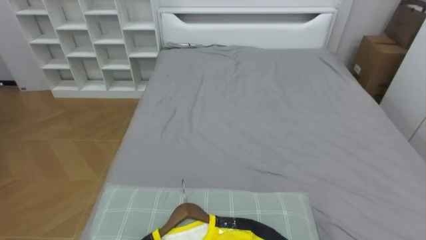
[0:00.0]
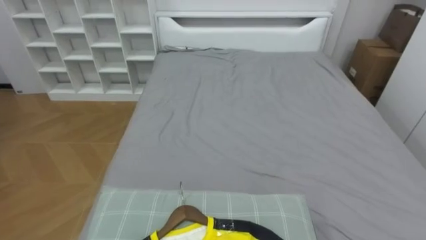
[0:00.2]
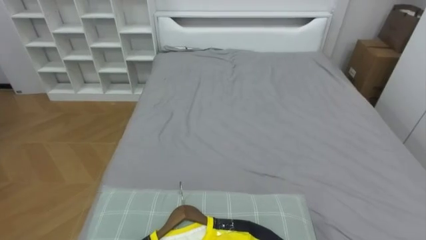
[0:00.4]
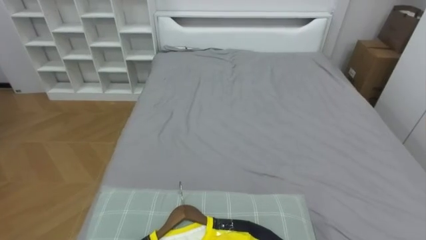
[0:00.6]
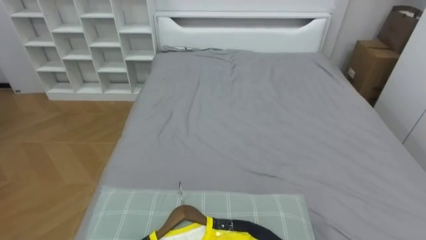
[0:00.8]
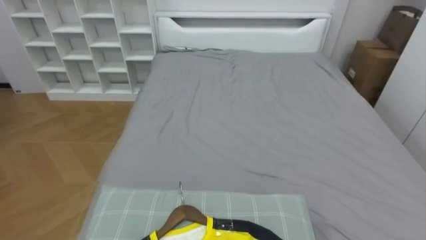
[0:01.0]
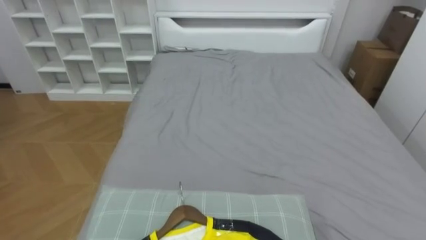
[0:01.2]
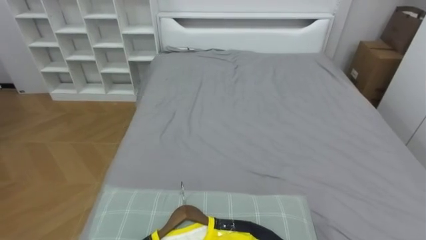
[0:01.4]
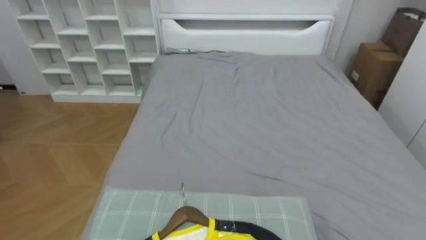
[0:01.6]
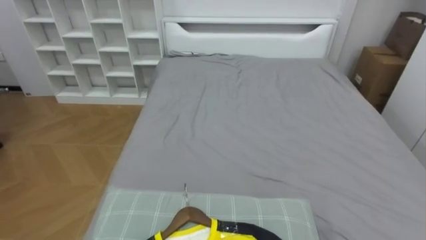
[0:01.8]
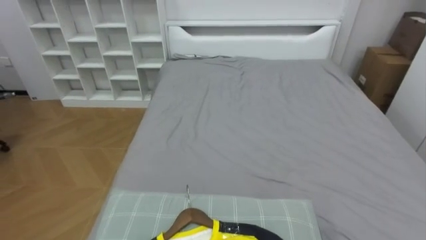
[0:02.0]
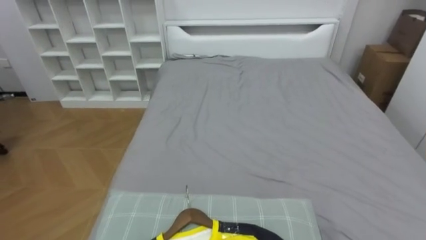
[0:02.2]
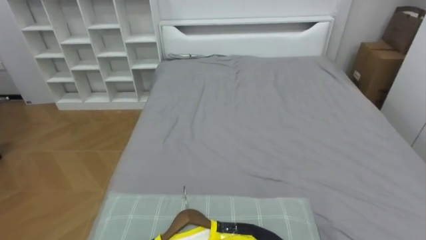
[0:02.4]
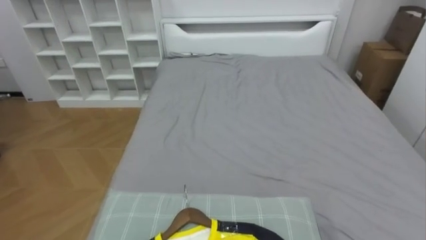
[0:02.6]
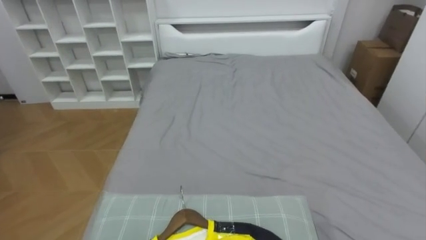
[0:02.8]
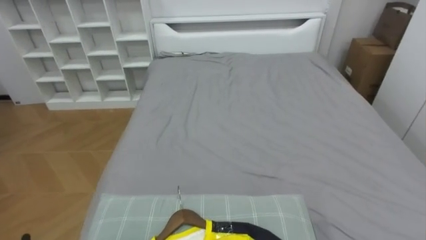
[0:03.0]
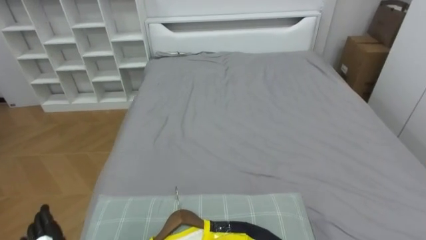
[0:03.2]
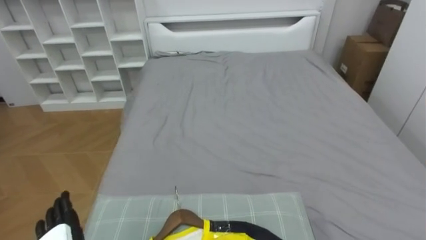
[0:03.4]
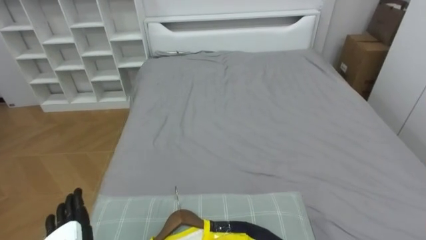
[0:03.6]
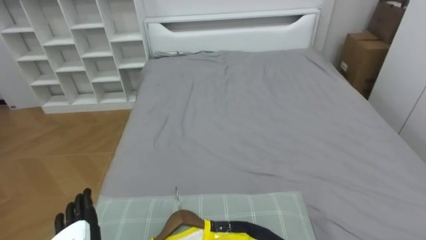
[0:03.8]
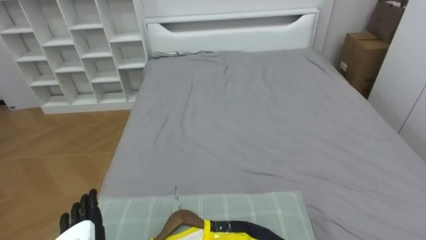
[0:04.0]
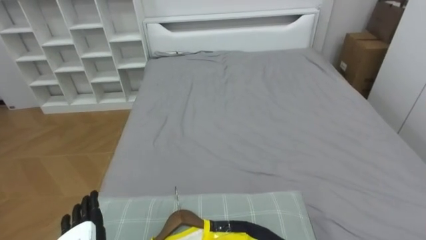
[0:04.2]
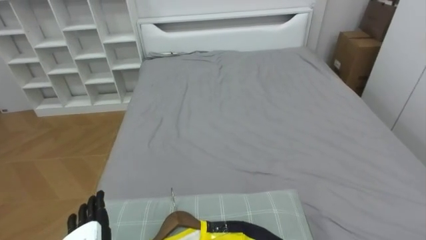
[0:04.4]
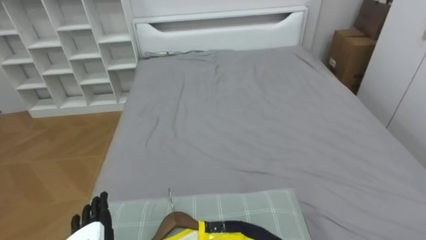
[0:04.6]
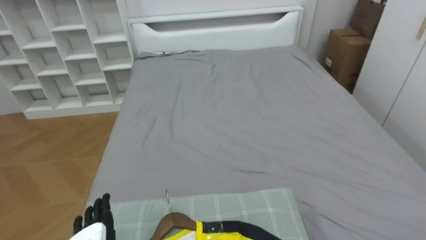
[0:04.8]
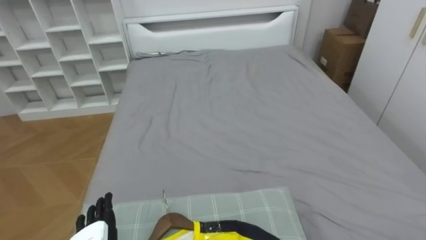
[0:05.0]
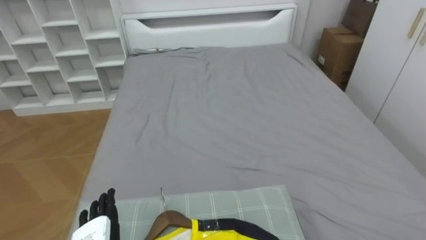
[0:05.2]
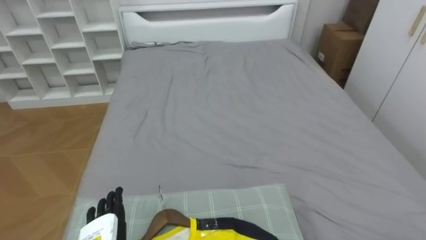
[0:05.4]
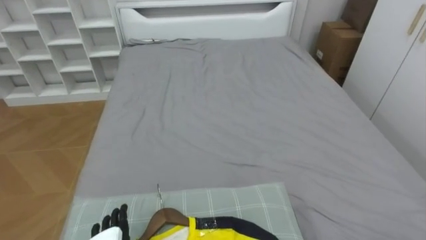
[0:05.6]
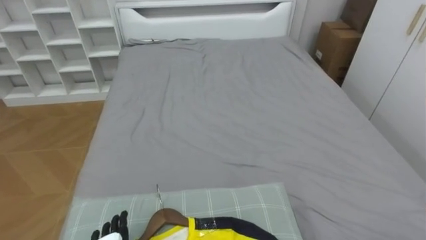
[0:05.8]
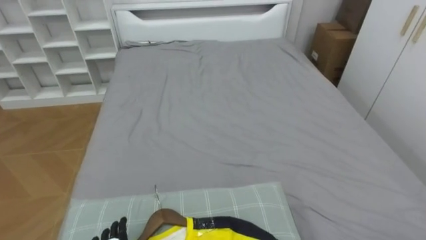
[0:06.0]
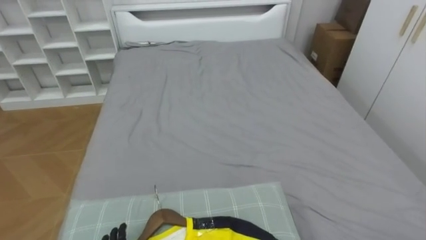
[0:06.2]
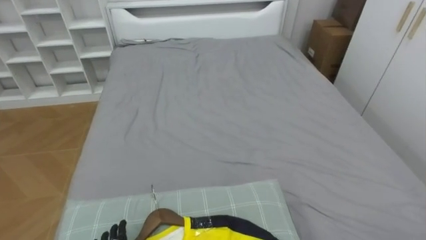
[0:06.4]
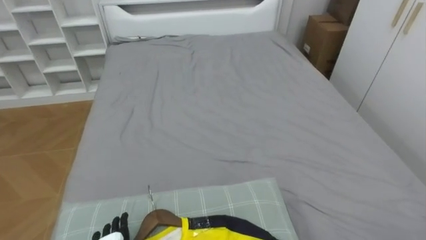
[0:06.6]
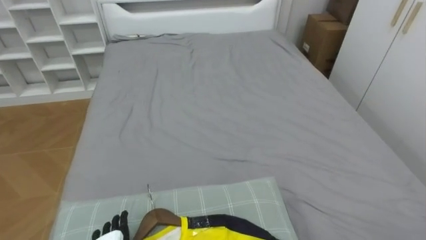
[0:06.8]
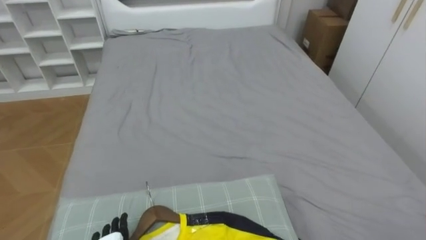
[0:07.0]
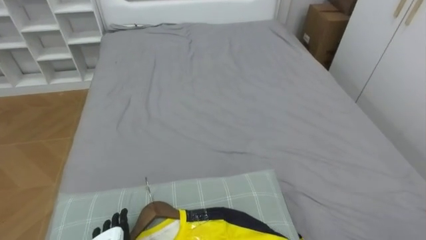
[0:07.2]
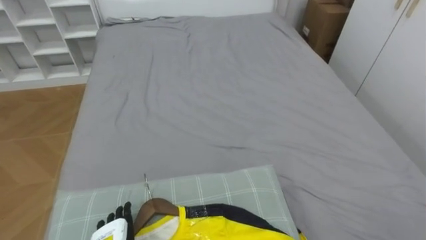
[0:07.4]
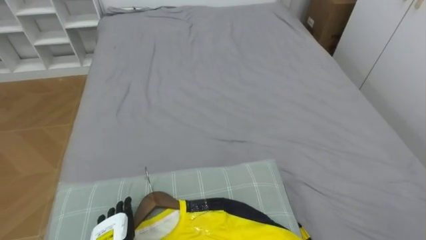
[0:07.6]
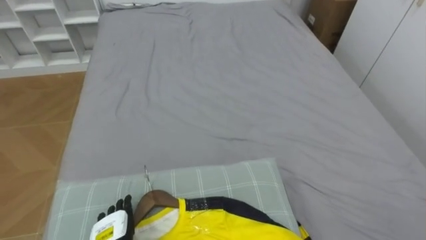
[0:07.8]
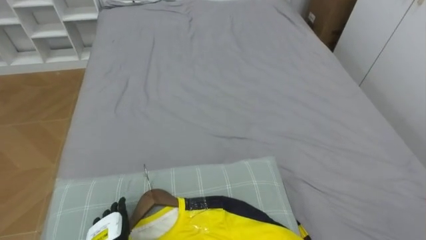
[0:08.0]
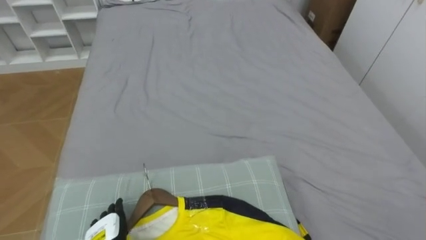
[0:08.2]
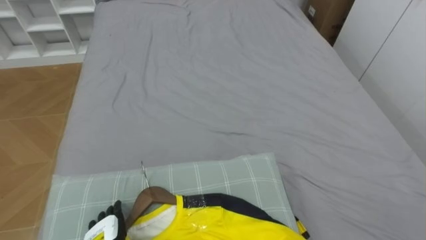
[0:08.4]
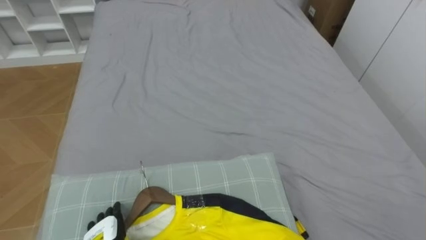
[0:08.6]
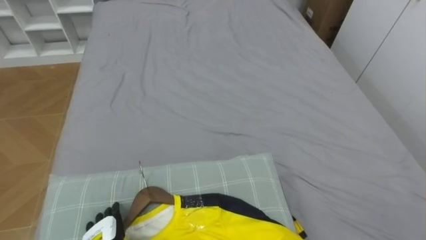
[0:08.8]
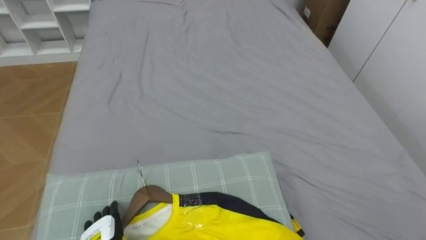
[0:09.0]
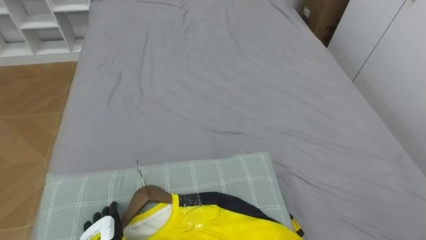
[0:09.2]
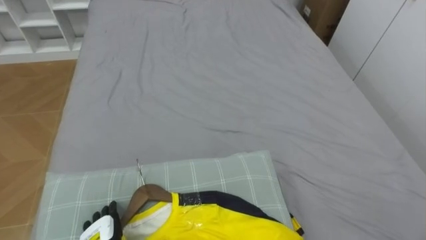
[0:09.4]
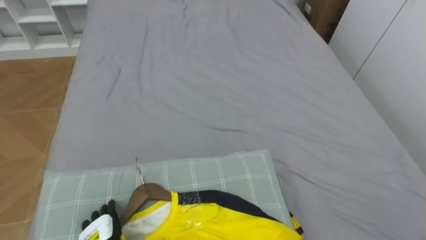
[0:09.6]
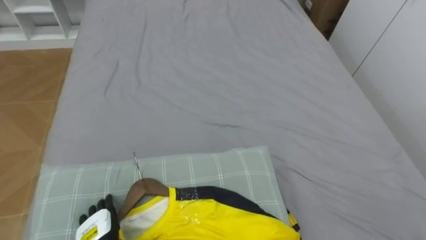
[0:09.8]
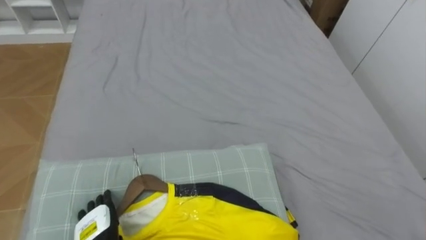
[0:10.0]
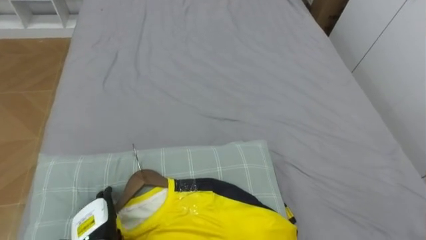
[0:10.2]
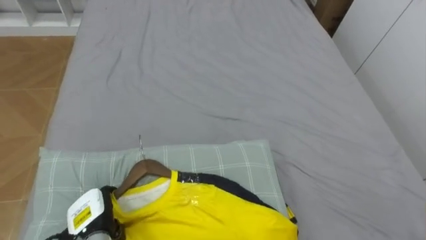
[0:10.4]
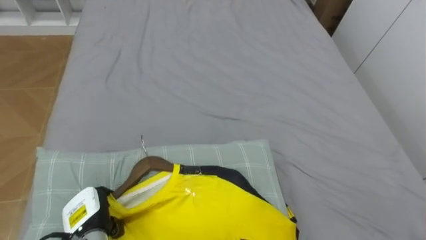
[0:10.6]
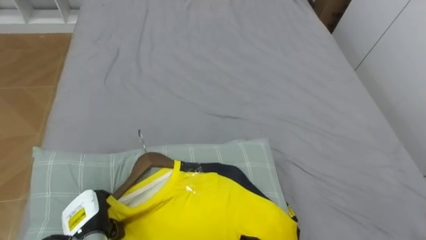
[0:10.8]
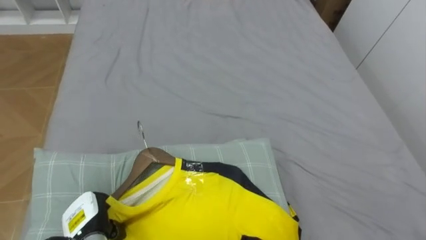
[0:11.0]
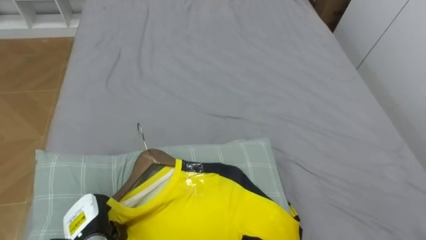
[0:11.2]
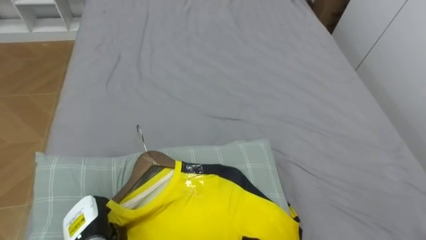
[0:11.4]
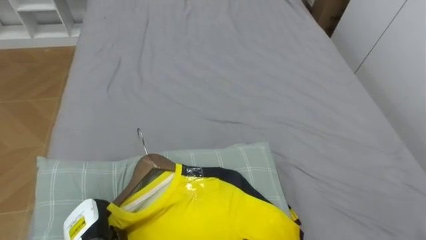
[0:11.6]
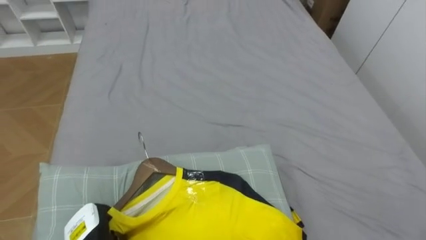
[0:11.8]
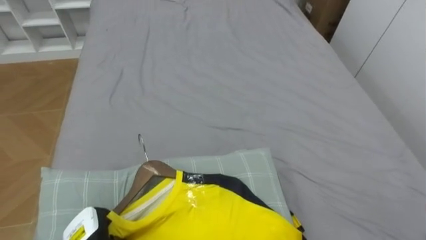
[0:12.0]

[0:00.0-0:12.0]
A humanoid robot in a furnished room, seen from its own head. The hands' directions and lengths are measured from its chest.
Task of the whole recording: Pick up the yellow shirt on the bed and hang it on the clothes rack on the right.
0:10.4 to 0:12.0: The left hand closes its fingers.

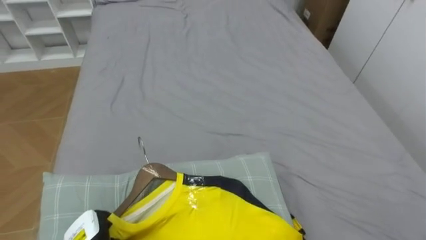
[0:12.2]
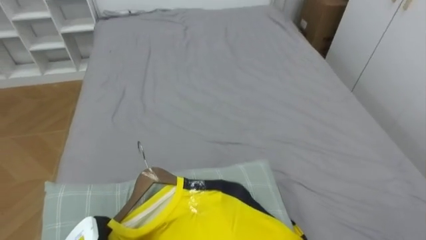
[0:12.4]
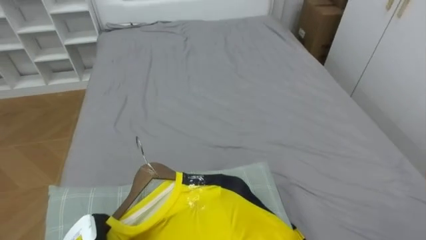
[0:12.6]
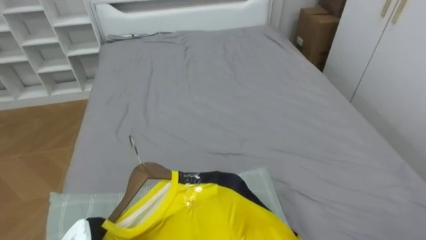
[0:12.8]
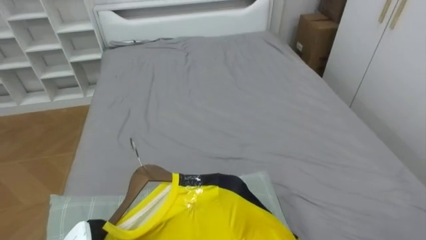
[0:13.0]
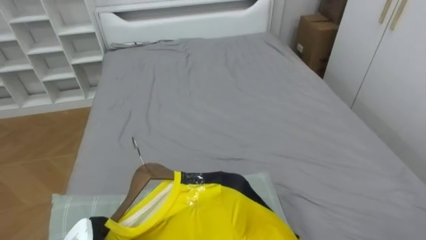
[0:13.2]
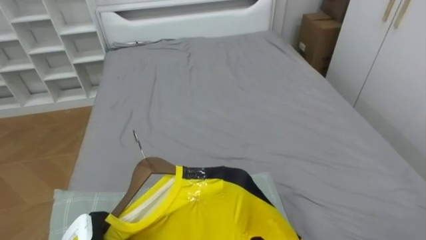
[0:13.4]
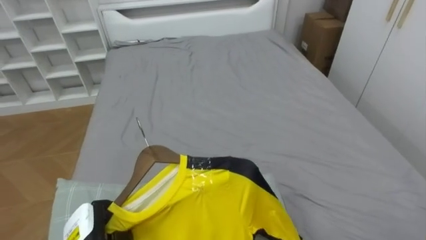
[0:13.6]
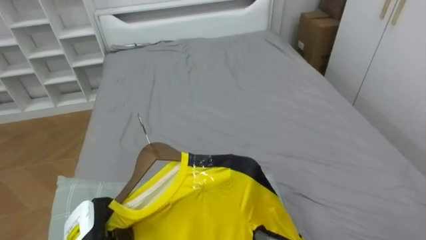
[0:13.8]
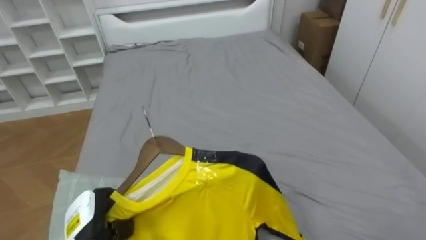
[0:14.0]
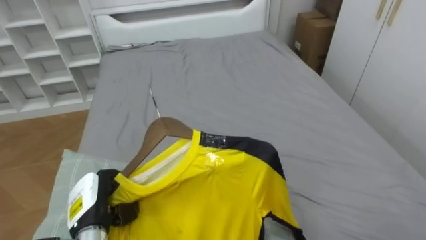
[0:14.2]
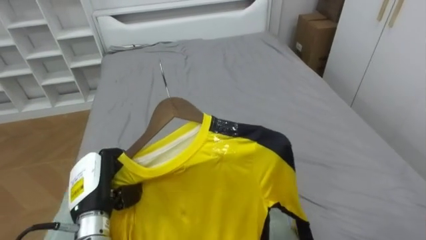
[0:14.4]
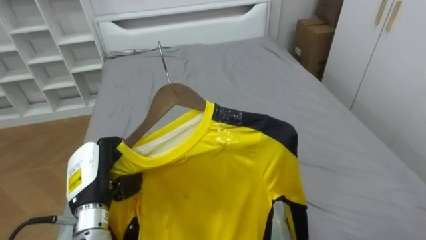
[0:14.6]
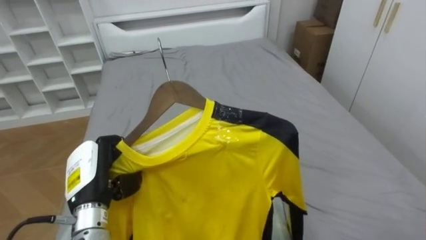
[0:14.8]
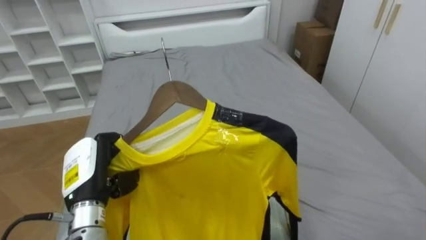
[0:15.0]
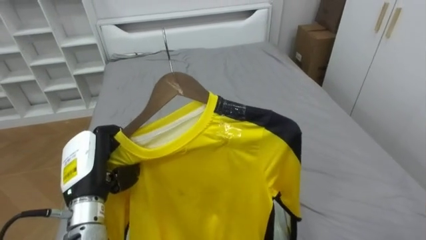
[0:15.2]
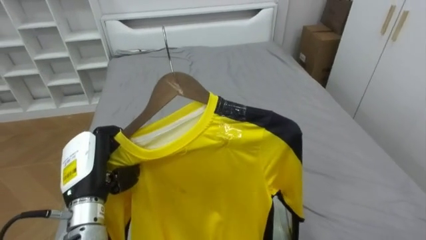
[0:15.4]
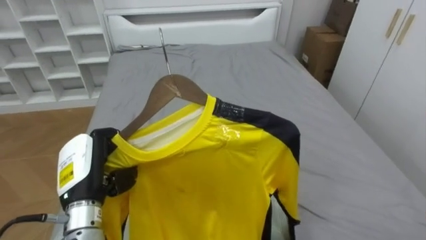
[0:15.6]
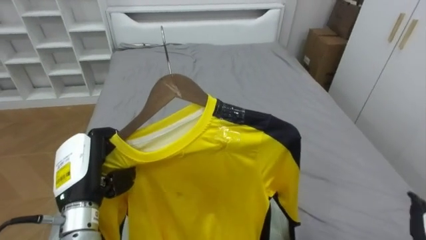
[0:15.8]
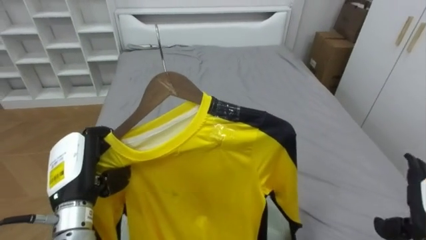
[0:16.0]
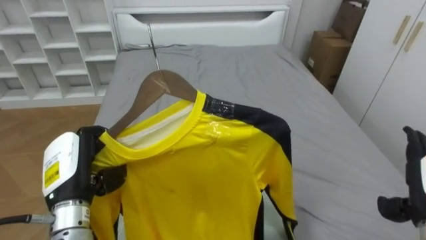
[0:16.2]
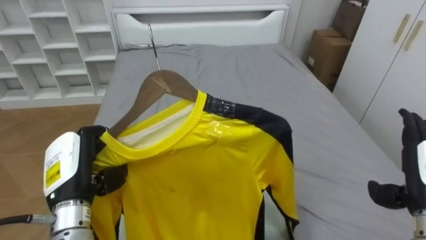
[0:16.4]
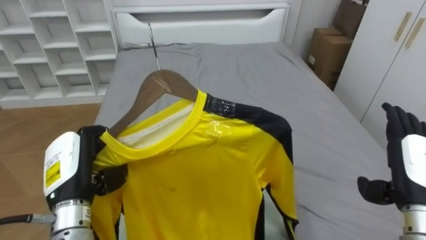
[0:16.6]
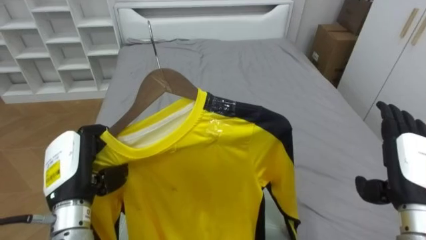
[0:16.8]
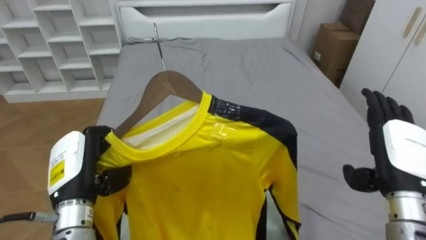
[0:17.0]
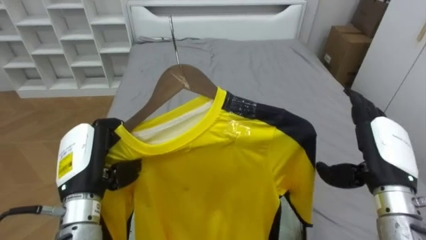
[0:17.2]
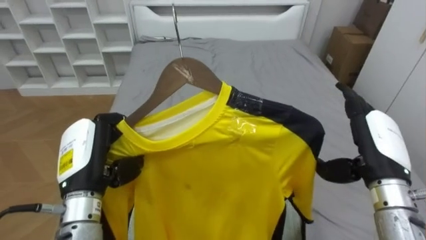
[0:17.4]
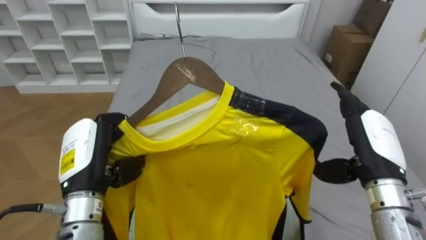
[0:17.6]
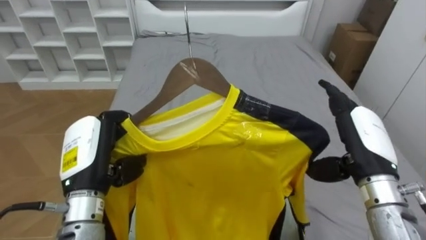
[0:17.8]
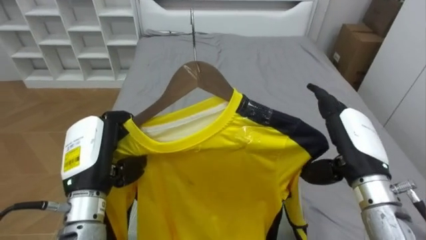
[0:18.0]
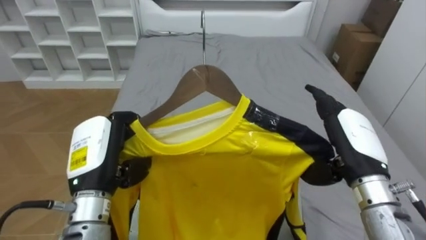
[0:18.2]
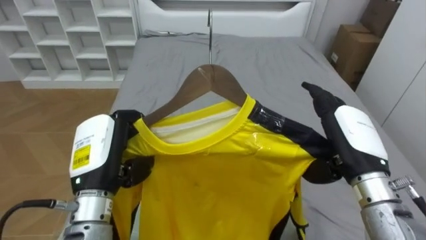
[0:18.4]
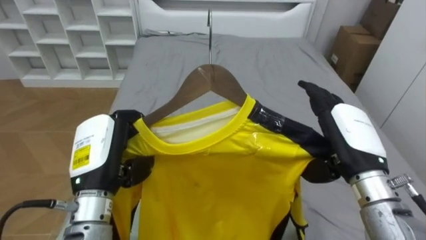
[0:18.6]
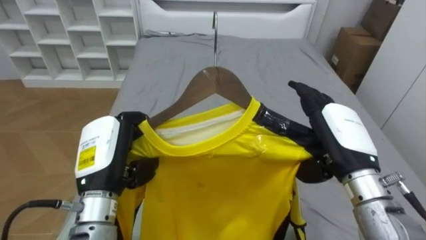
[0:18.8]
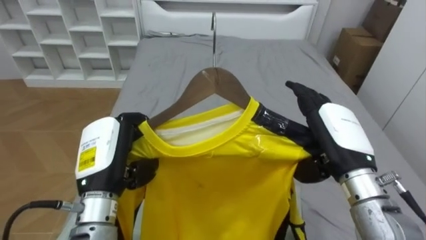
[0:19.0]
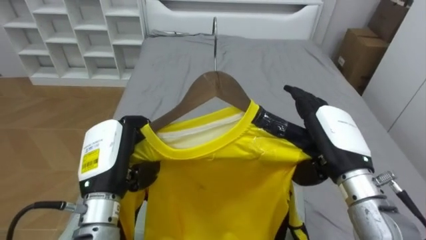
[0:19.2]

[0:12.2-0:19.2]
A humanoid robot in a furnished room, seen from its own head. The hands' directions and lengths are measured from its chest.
Task of the whole recording: Pick up the yellow shirt on the bed and hang it on the clothes rack on the right.
0:13.6 to 0:15.0: The left hand is displaced upward and forward by some 15 cm.
0:16.4 to 0:17.8: The right hand is displaced to the left by about 10 cm.
